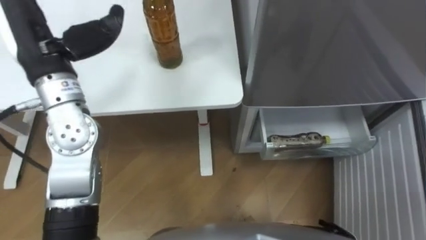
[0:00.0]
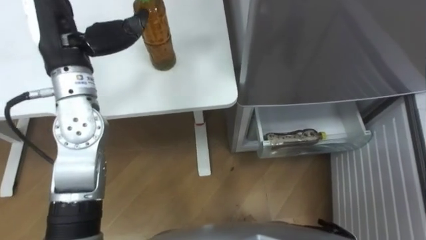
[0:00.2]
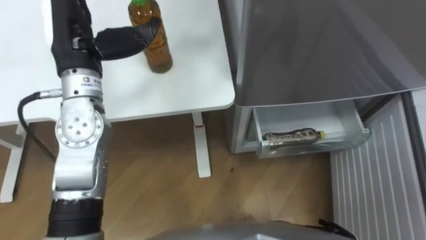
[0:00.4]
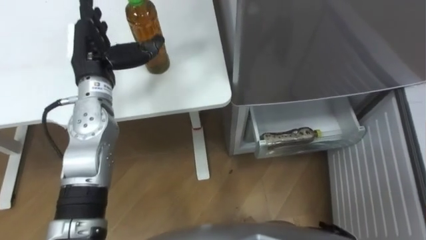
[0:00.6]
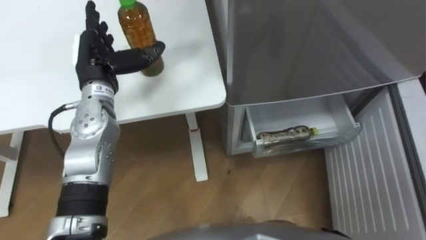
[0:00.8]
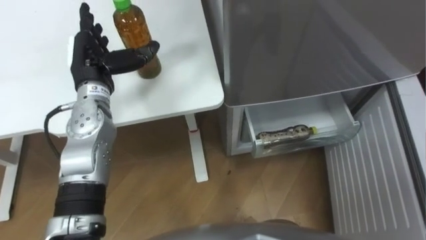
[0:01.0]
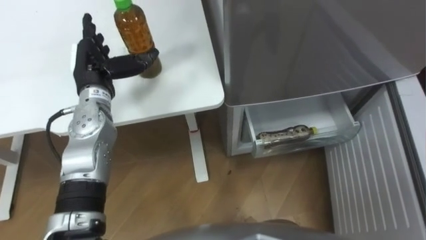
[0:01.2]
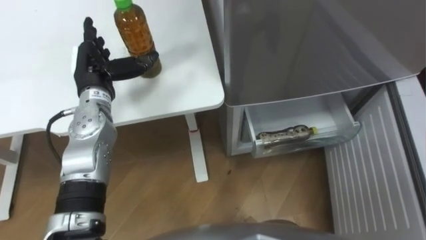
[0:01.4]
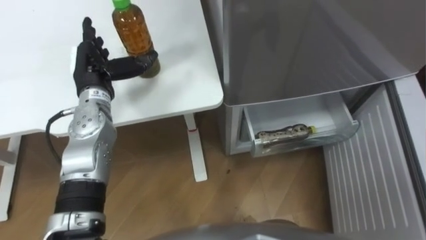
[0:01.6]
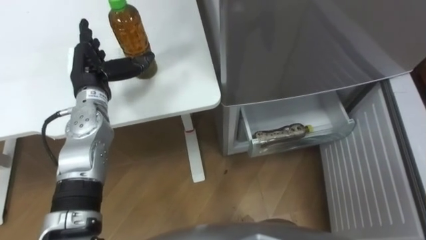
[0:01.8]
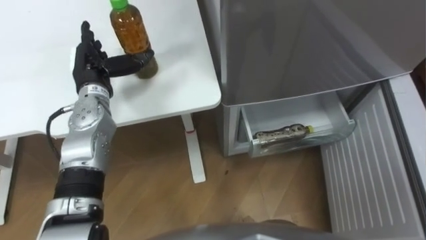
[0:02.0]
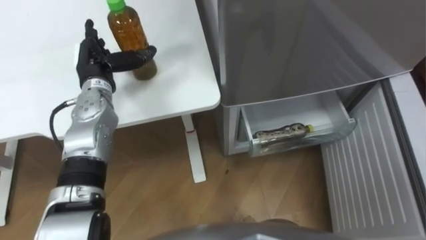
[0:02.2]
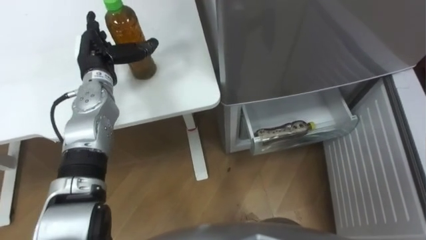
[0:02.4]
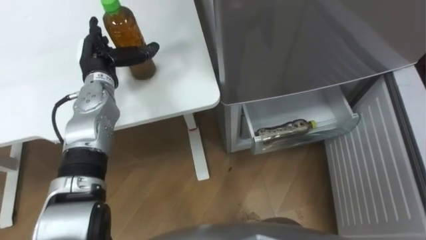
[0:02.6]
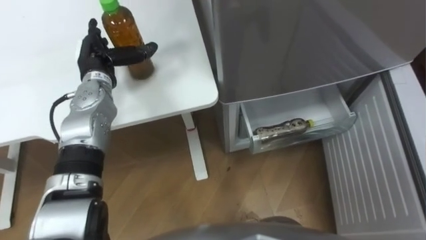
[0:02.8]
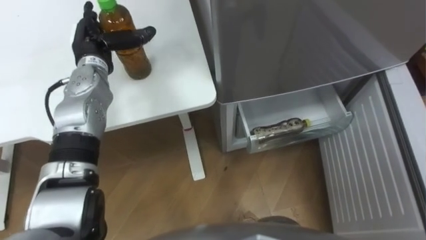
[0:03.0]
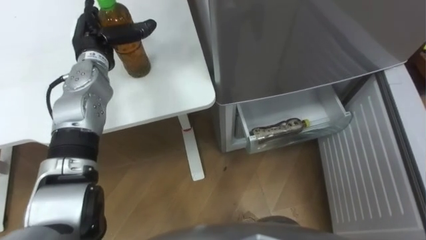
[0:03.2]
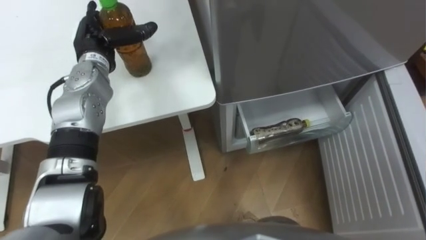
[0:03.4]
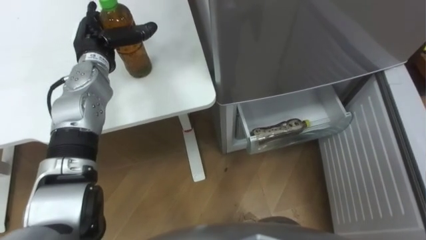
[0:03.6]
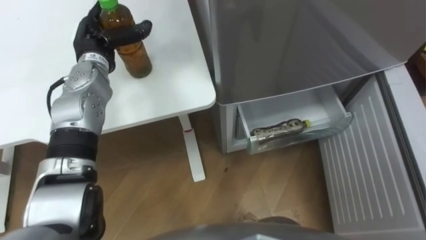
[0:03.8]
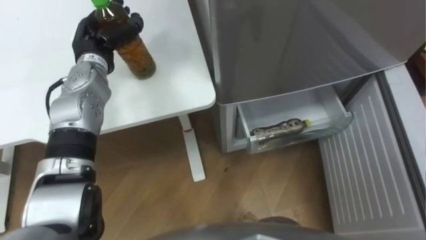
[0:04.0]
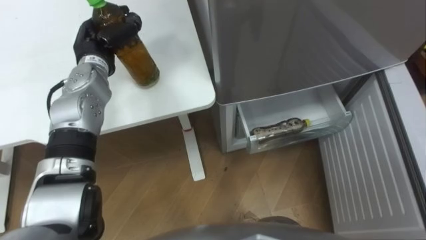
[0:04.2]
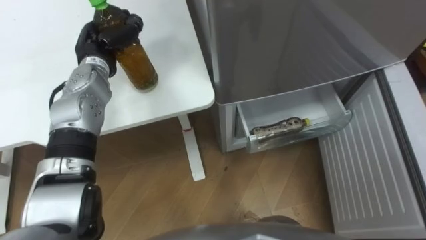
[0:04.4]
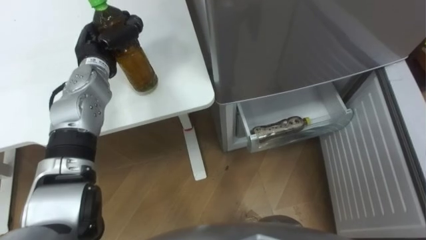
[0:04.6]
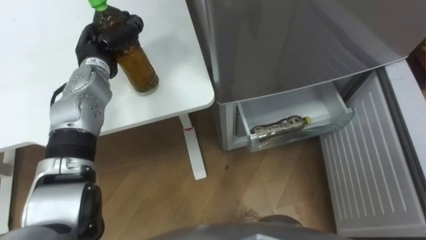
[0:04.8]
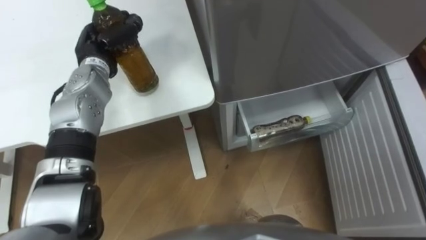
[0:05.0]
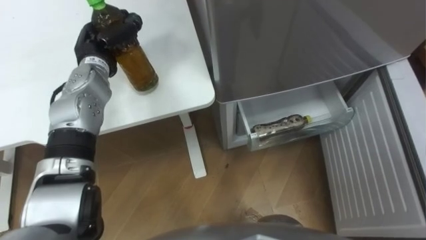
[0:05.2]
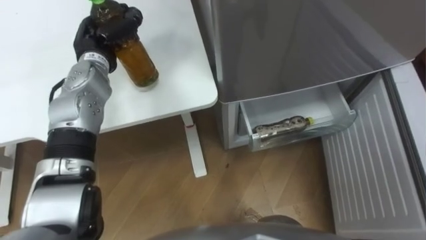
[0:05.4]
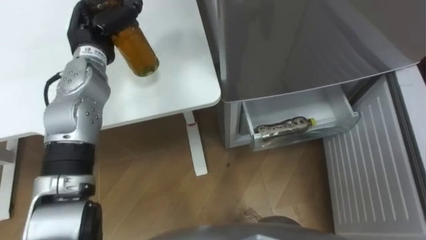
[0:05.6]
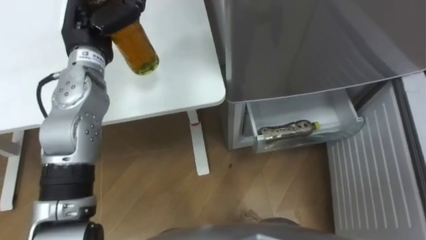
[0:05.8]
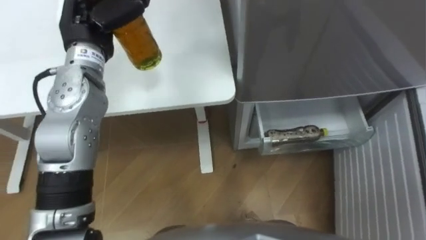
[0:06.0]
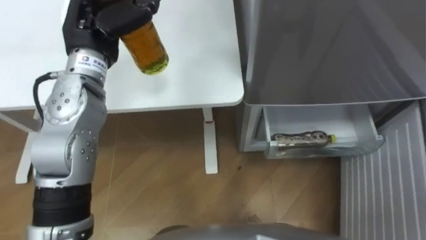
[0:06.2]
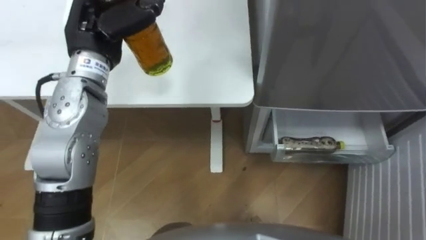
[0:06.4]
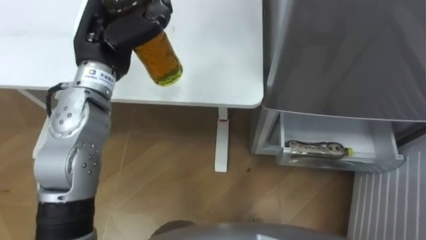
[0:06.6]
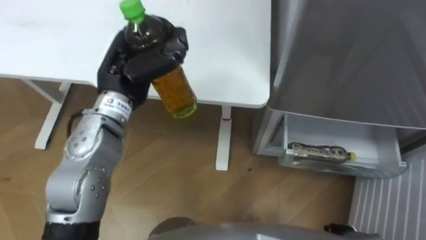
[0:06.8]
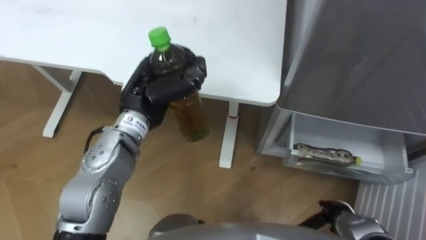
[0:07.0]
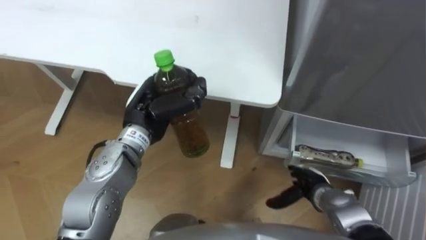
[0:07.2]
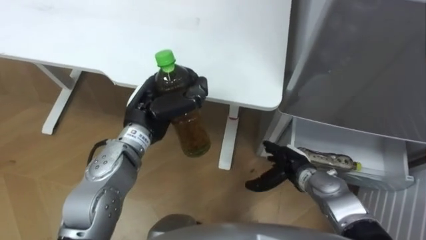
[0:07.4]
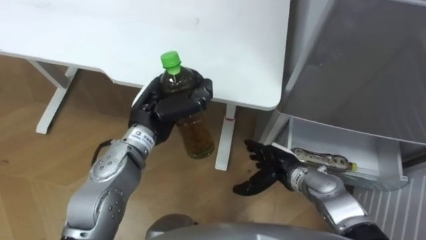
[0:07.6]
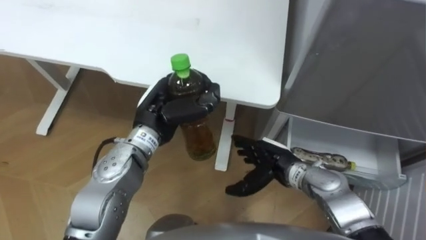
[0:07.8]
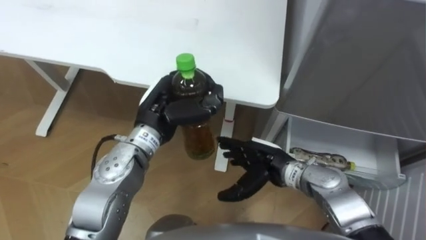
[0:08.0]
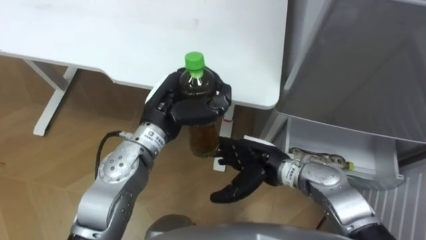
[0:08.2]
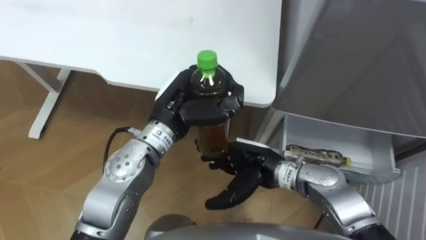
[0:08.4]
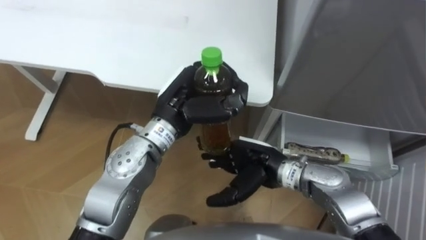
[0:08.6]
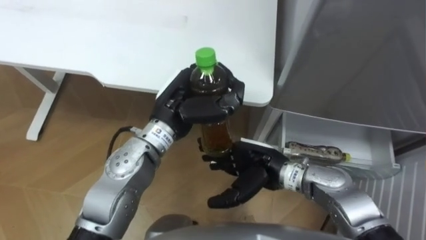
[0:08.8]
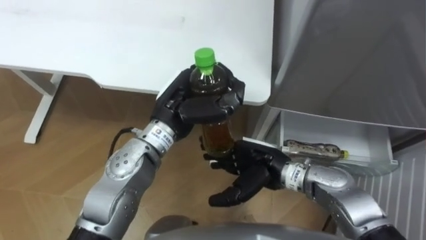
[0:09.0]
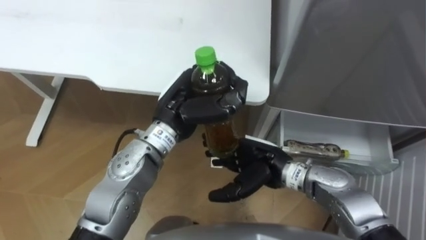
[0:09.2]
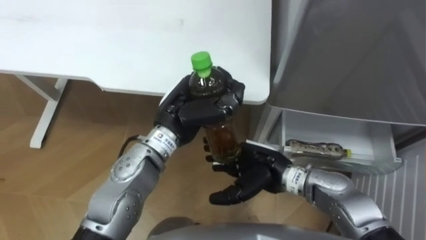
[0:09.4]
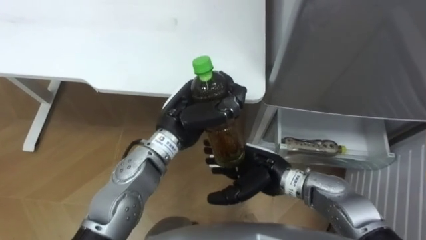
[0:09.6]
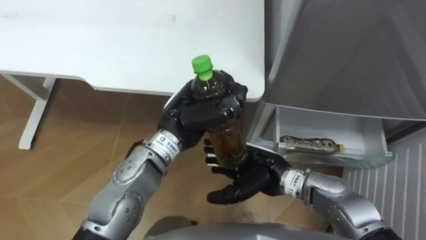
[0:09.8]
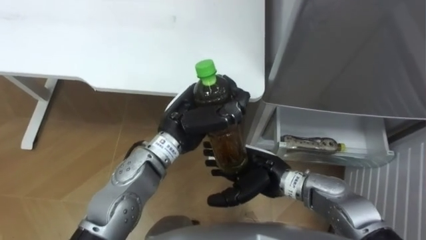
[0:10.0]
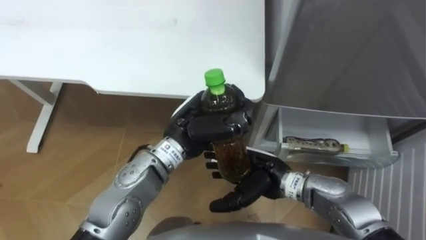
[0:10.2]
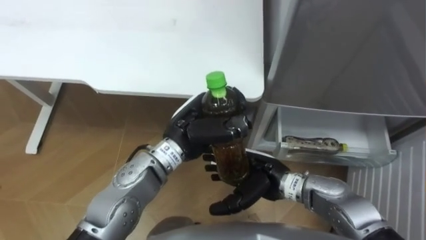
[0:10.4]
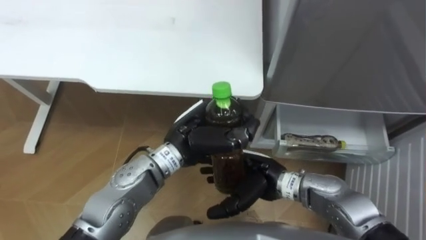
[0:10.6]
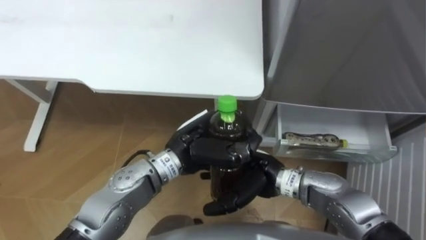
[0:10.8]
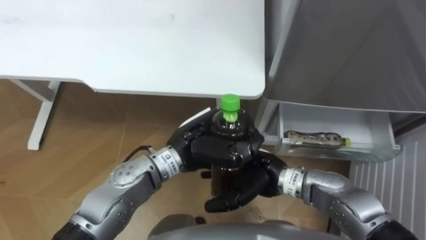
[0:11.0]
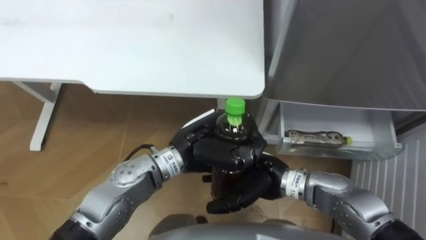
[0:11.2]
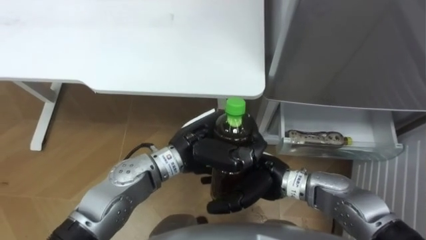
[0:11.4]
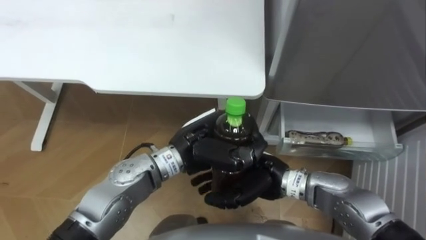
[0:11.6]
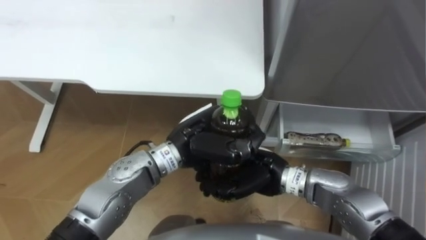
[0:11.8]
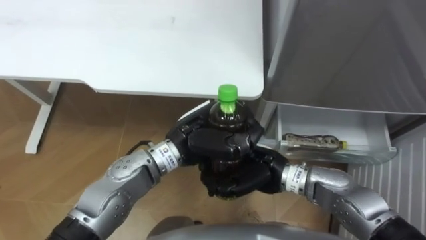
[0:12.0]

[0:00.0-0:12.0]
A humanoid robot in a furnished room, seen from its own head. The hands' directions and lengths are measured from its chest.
Task of the whole recording: Place the drink on the table on the bottom shelf of the refrigerator, then close the drawer and the refrigerator door.
0:00.0 to 0:01.6: The left hand is displaced downward by some 15 cm.
0:01.6 to 0:03.0: The left hand heads forward, covering roughly 5 cm.
0:03.0 to 0:04.4: The left hand closes up.
0:04.4 to 0:06.0: The left hand heads upward, covering about 10 cm.
0:06.0 to 0:07.6: The left hand shifts roughly 15 cm downward, to the right and backward.
0:07.6 to 0:09.0: The left hand travels to the right by roughly 5 cm. The right hand travels upward and to the left by about 10 cm.
0:10.4 to 0:12.0: The right hand closes its fingers.

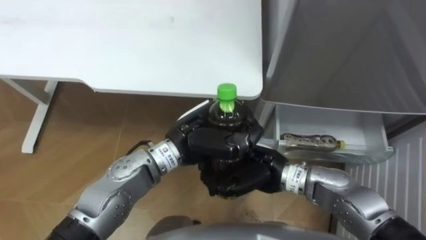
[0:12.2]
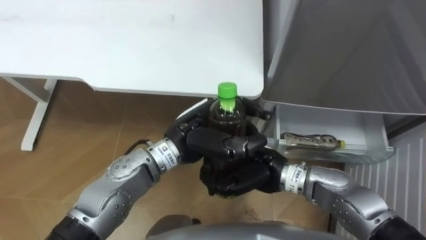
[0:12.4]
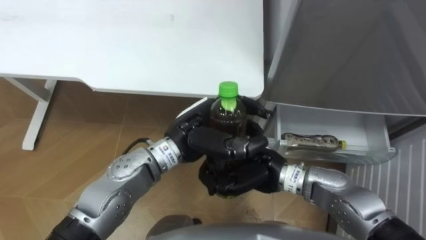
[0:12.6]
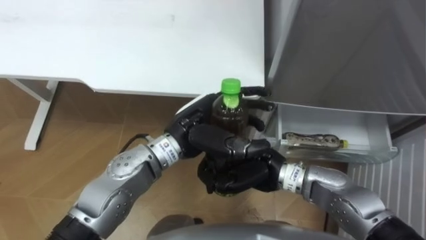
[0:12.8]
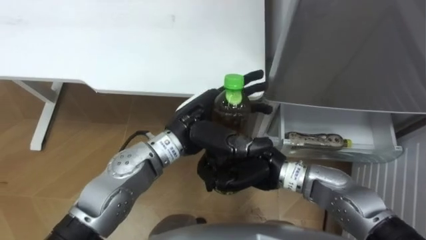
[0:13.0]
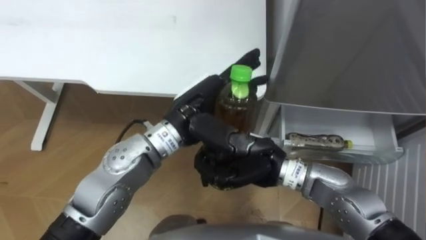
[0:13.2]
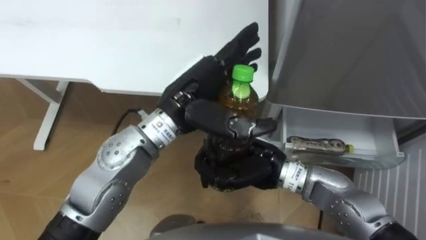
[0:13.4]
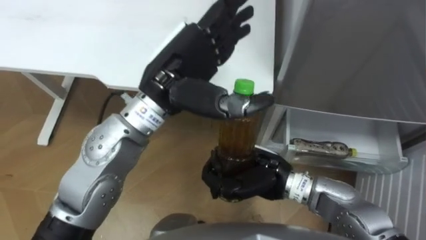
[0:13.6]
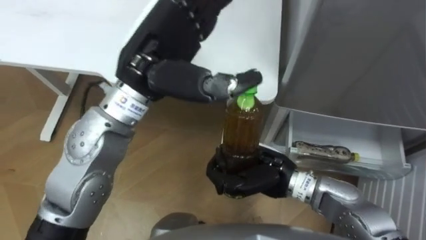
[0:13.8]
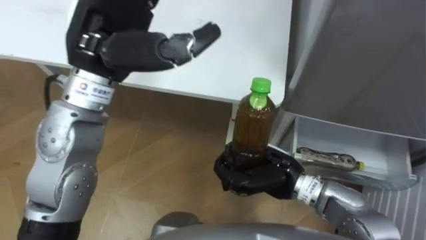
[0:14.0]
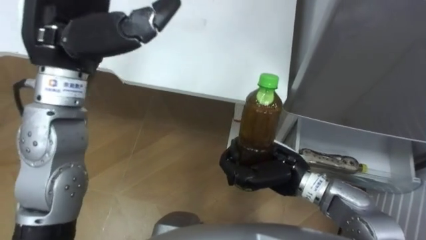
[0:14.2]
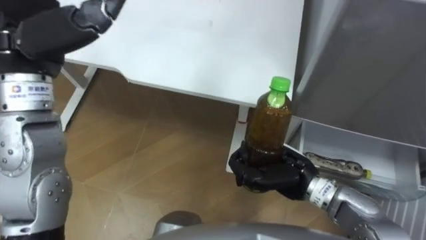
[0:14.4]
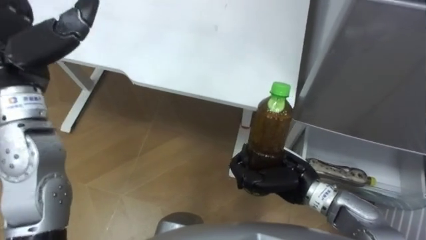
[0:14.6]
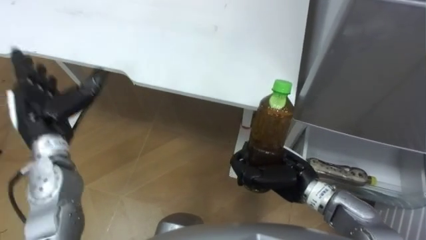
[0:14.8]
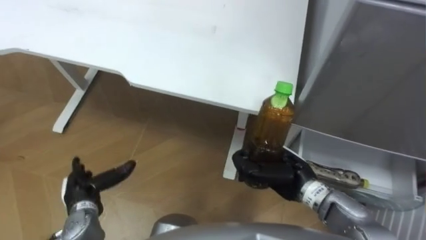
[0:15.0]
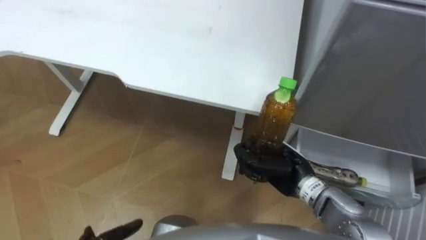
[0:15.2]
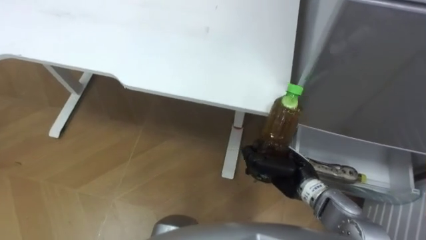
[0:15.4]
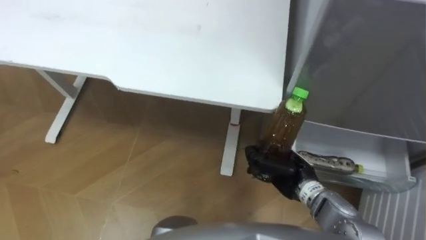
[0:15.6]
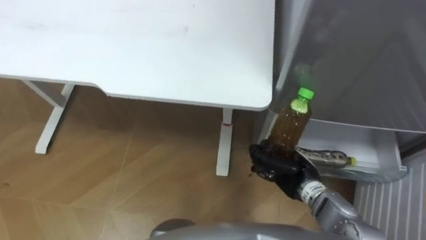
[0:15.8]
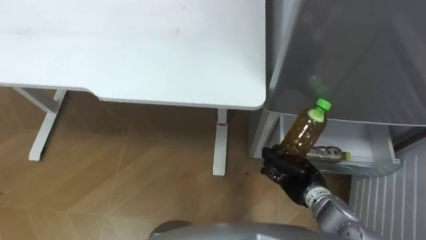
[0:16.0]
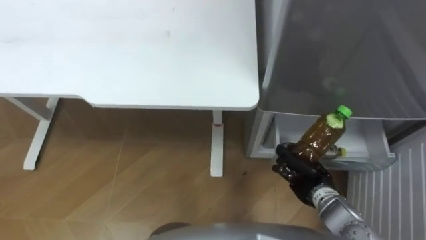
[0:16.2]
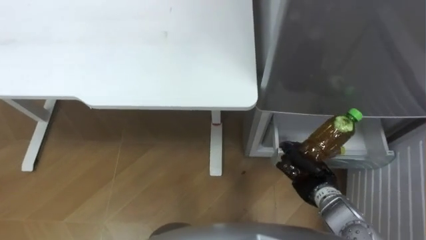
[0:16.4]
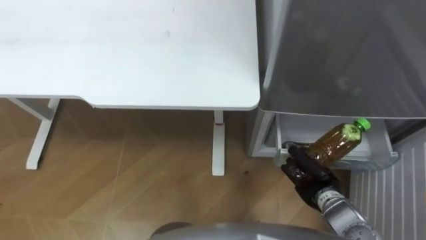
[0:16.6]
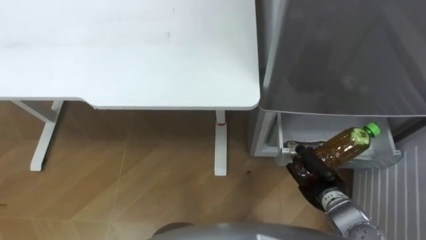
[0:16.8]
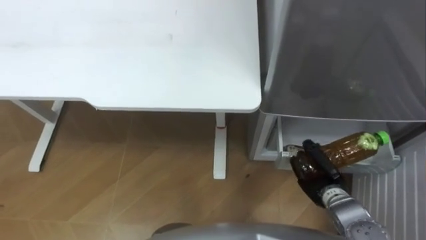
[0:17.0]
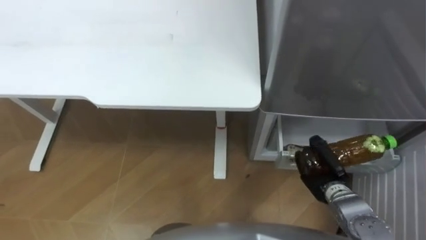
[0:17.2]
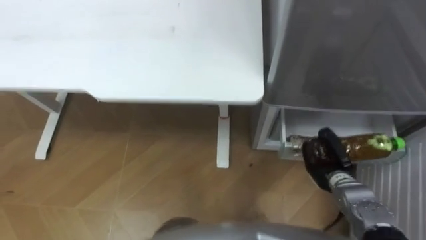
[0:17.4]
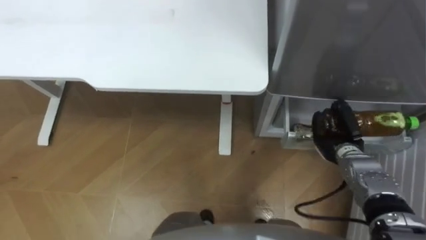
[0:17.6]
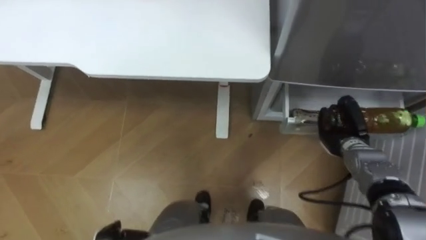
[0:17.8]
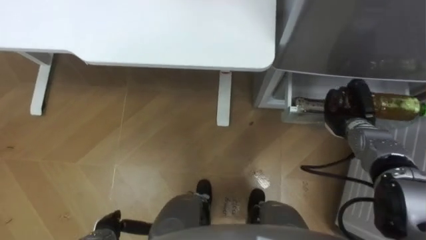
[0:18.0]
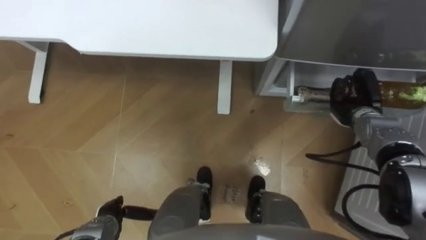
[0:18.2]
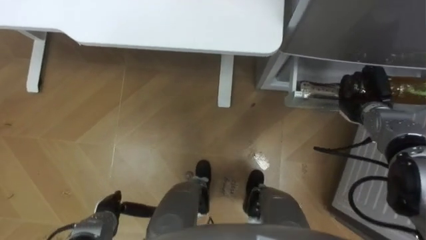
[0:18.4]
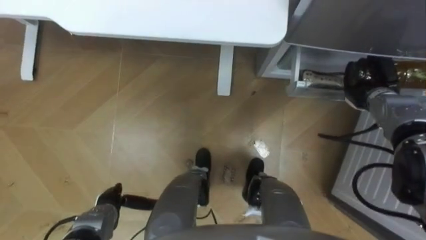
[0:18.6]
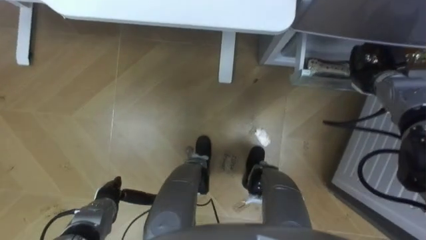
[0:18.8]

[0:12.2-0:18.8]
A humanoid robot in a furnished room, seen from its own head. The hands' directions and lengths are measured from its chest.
Task of the whole recording: Place the drink on the table on the bottom shelf of the refrigerator, then close the drawer and the refrigerator door.
0:12.2 to 0:13.8: The left hand goes about 15 cm upward, and opens its fingers.
0:13.8 to 0:15.4: The right hand travels downward and to the right by roughly 10 cm.
0:15.4 to 0:17.2: The right hand travels to the right and downward by about 10 cm.
0:17.2 to 0:18.8: The right hand moves forward, upward and to the right, about 25 cm.
